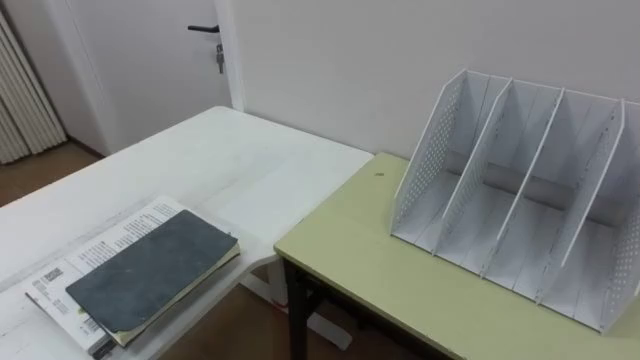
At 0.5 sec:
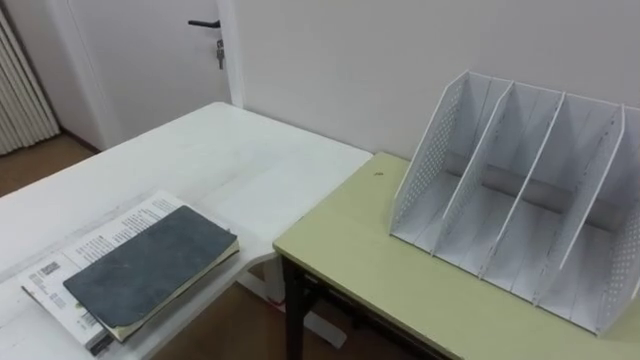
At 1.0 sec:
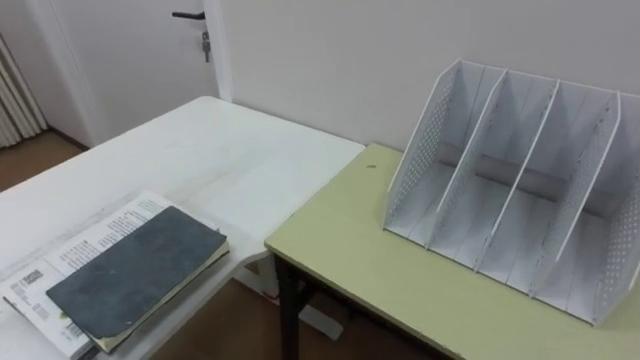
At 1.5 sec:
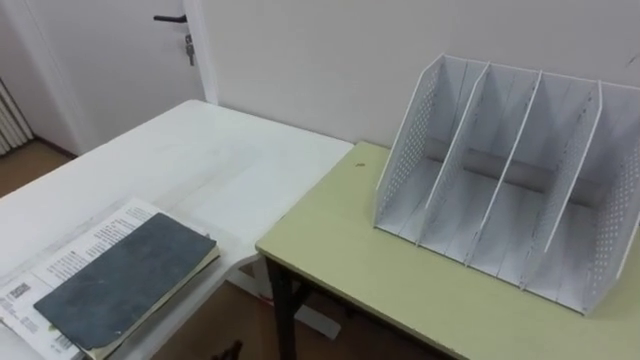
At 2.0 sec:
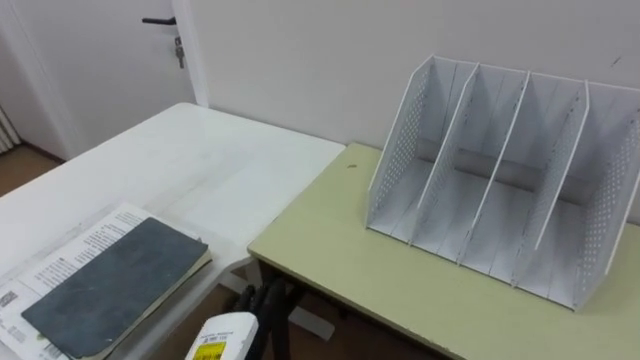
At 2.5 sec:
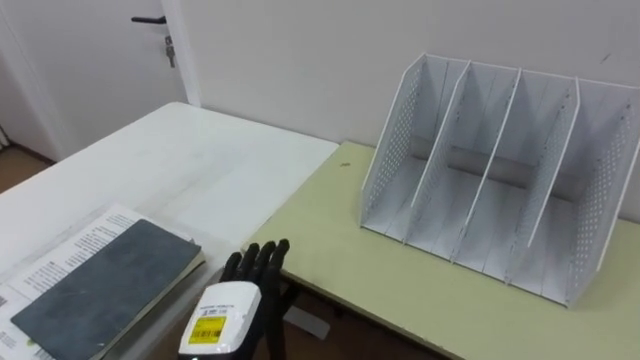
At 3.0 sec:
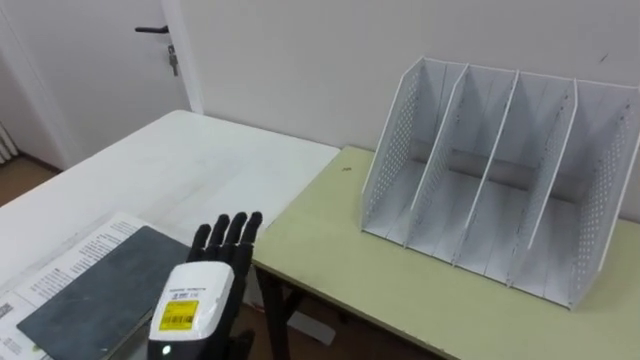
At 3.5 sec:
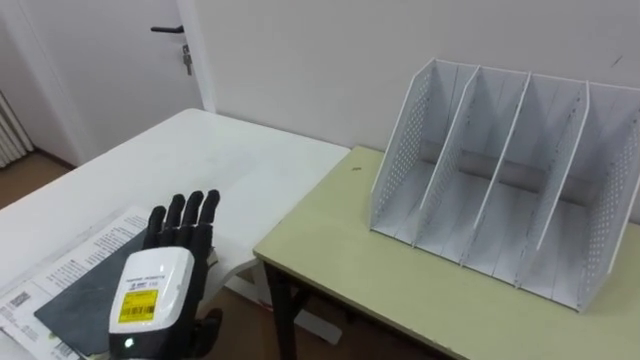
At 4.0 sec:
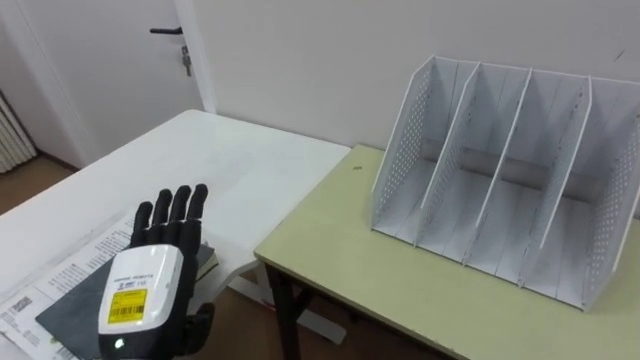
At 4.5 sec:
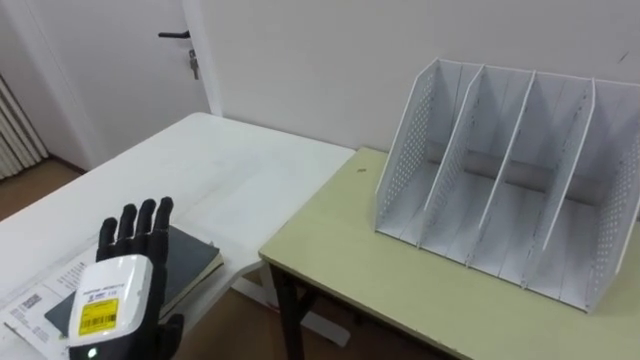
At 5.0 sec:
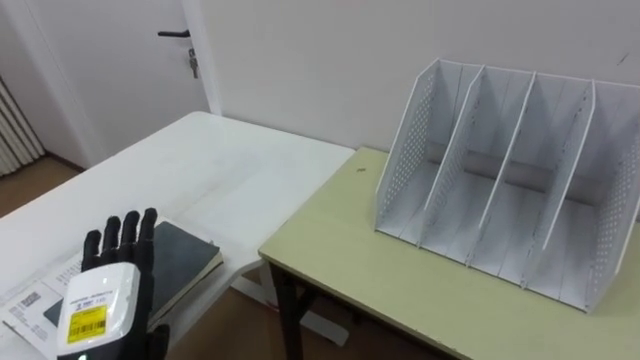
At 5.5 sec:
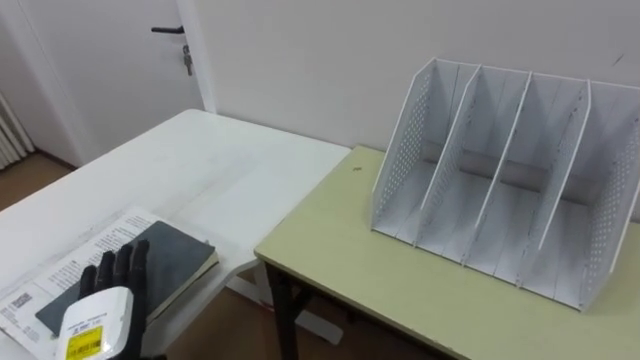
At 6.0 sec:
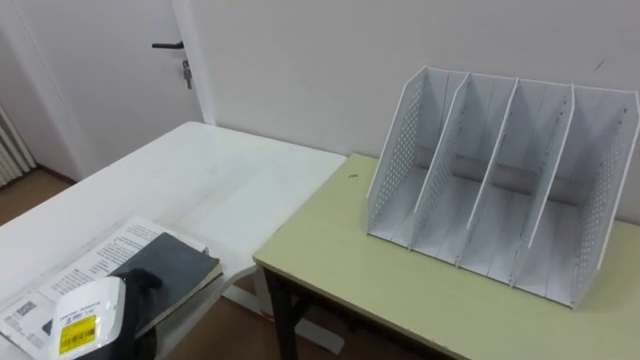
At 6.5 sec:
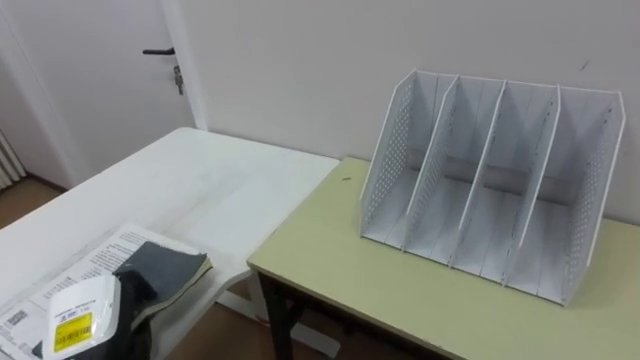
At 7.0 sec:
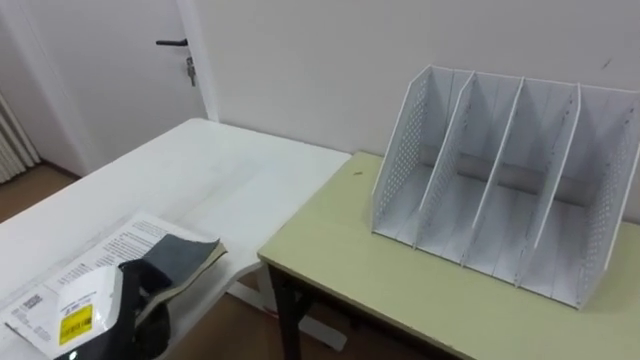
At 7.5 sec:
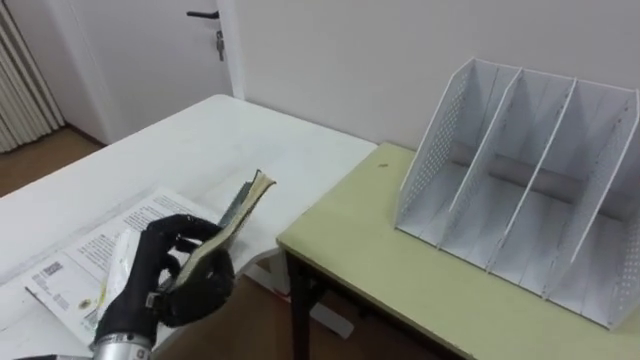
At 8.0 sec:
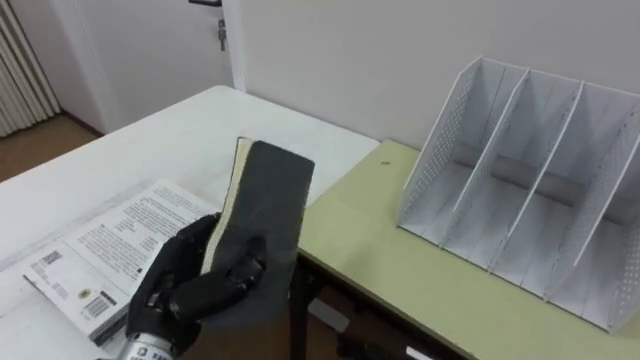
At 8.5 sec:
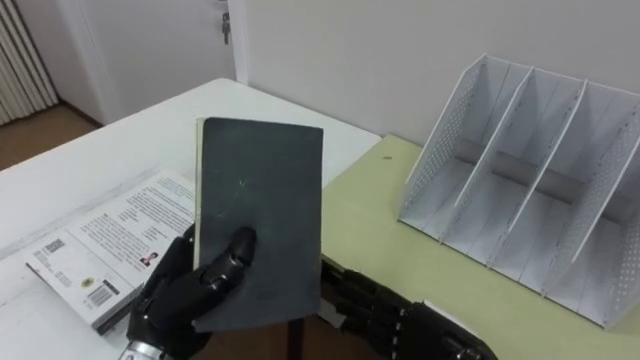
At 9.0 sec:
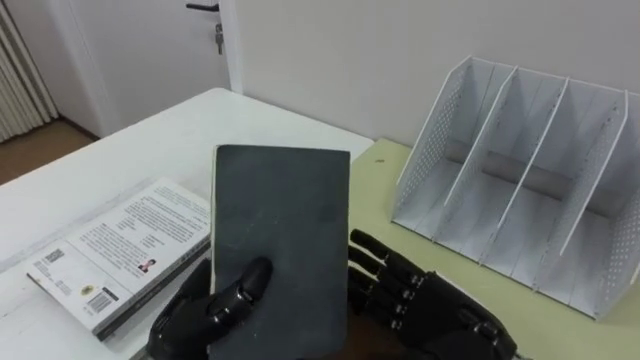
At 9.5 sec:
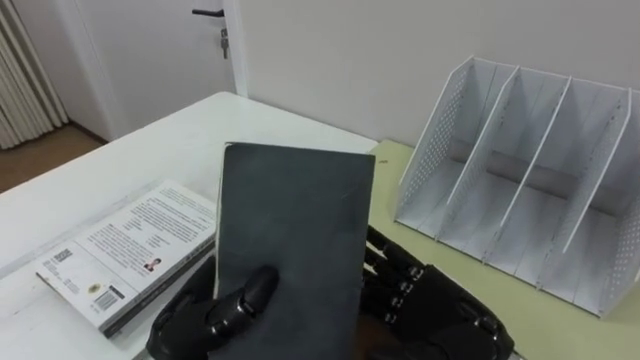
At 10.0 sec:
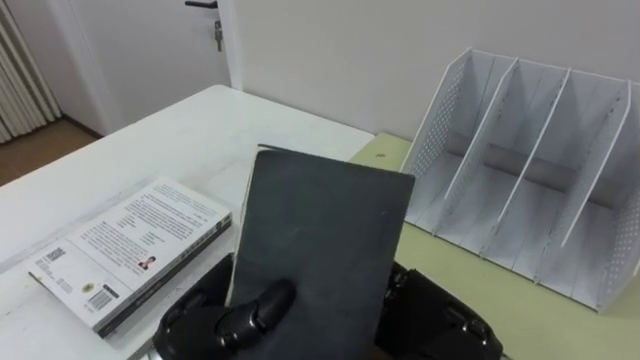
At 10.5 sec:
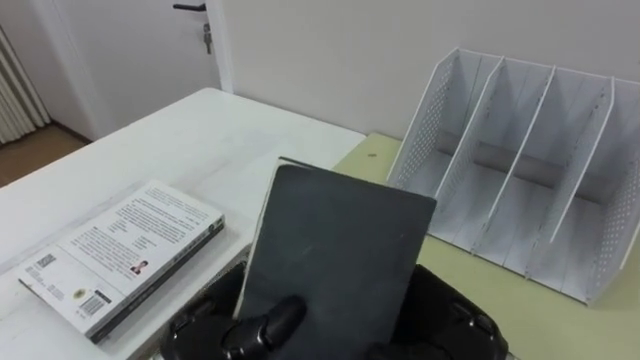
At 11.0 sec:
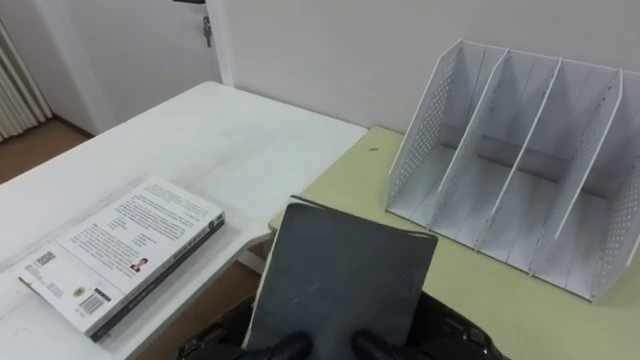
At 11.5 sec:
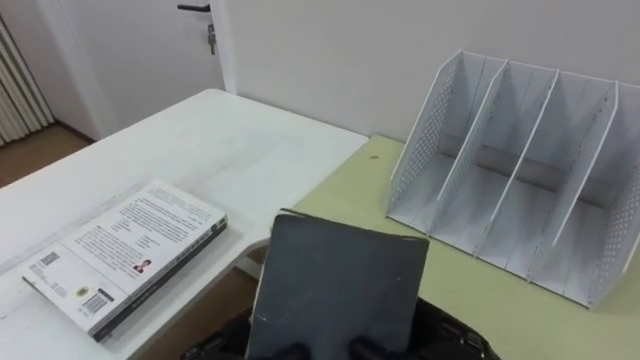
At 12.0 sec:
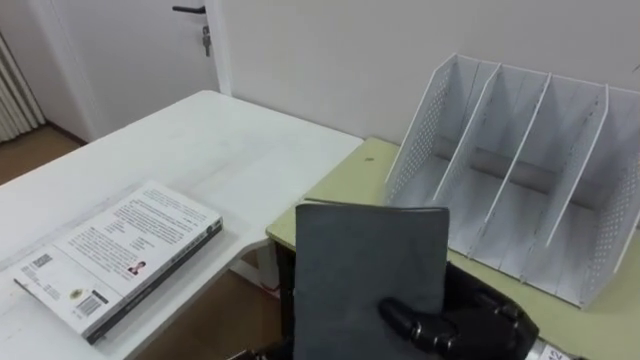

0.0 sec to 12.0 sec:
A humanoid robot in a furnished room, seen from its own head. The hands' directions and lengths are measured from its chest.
Task of the whole recording: Put the books on the table onto the bookshelf.
2.0 sec to 4.0 sec: The left hand goes roughly 10 cm upward and to the left.
4.0 sec to 6.0 sec: The left hand goes about 10 cm to the left and downward, and closes.
6.0 sec to 8.0 sec: The left hand travels to the right and upward by approximately 10 cm.
8.0 sec to 10.0 sec: The left hand heads to the right, covering about 5 cm.
10.0 sec to 12.0 sec: The right hand closes.

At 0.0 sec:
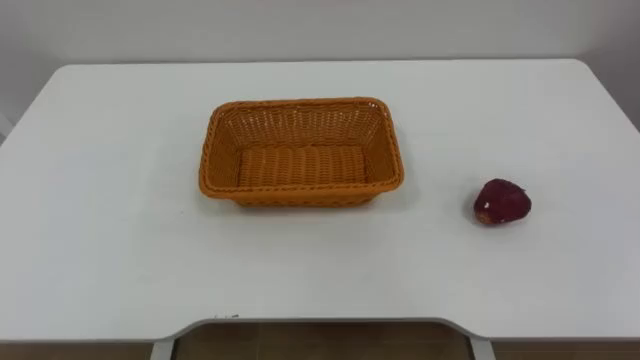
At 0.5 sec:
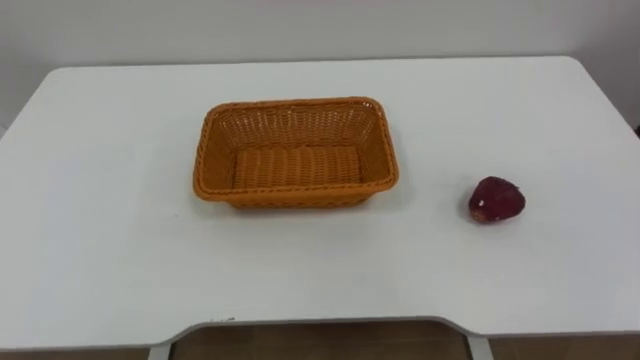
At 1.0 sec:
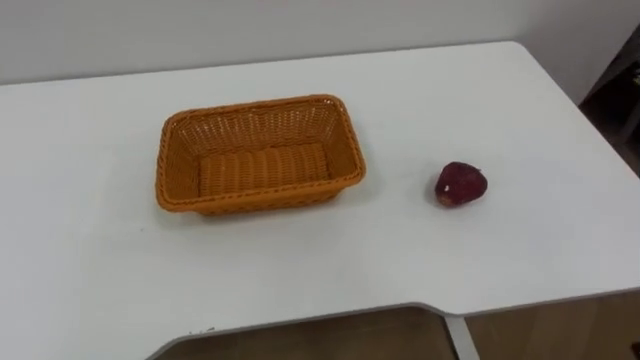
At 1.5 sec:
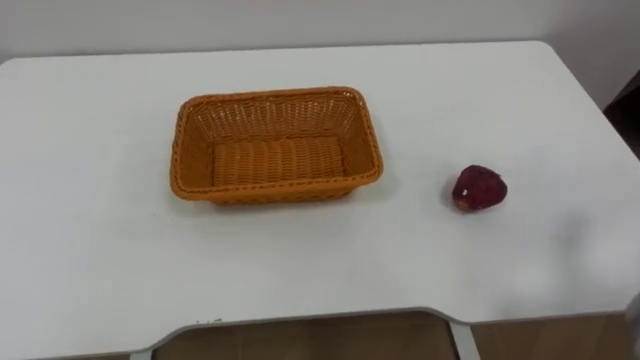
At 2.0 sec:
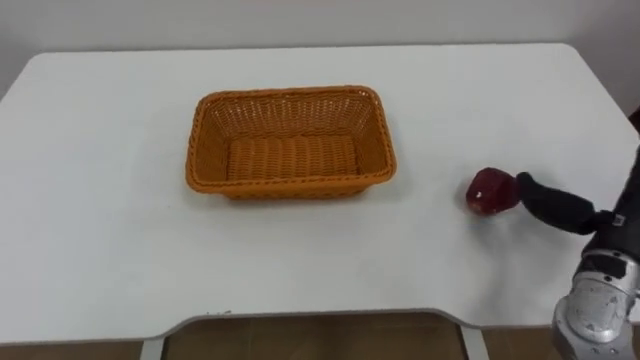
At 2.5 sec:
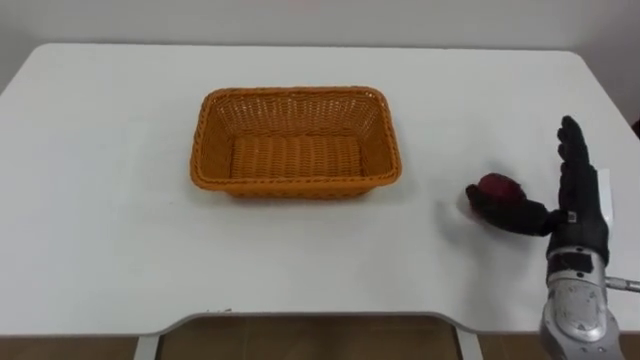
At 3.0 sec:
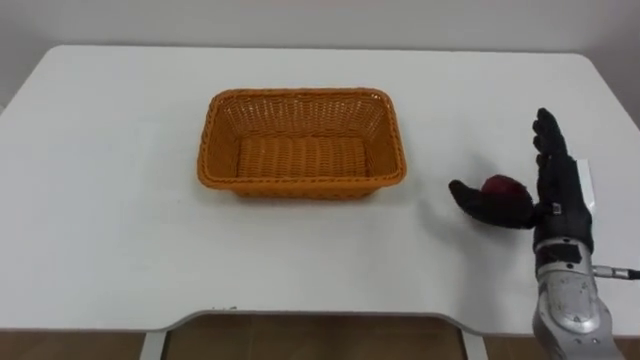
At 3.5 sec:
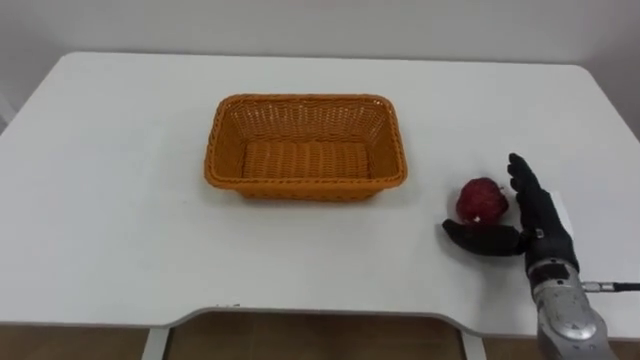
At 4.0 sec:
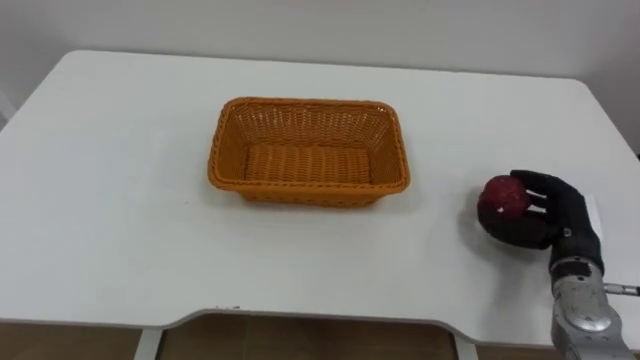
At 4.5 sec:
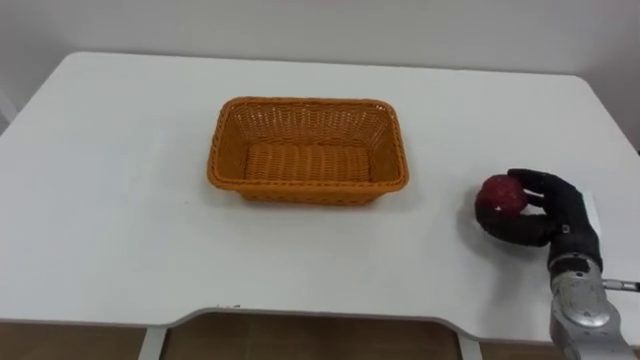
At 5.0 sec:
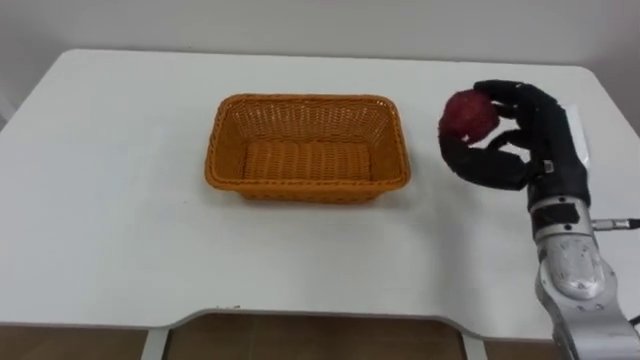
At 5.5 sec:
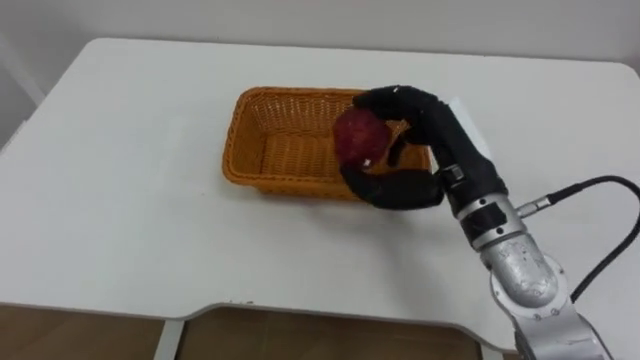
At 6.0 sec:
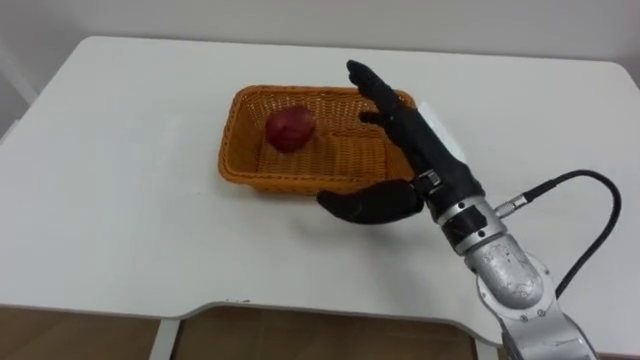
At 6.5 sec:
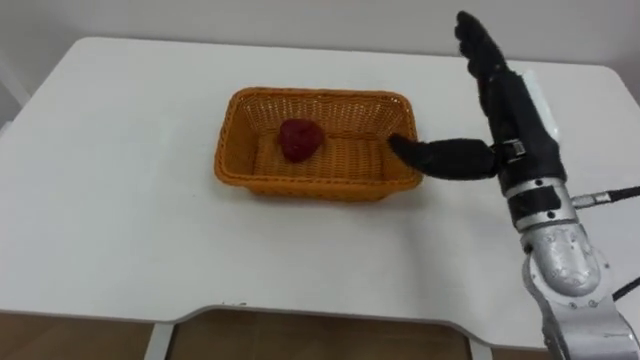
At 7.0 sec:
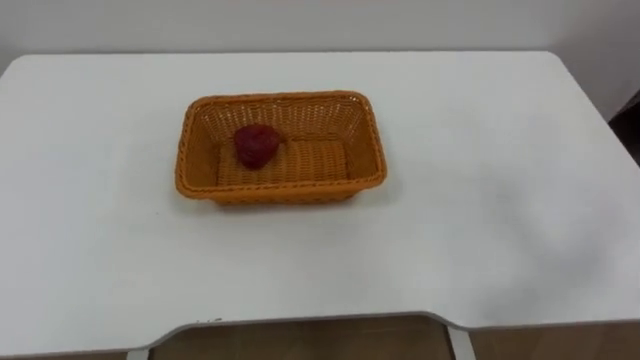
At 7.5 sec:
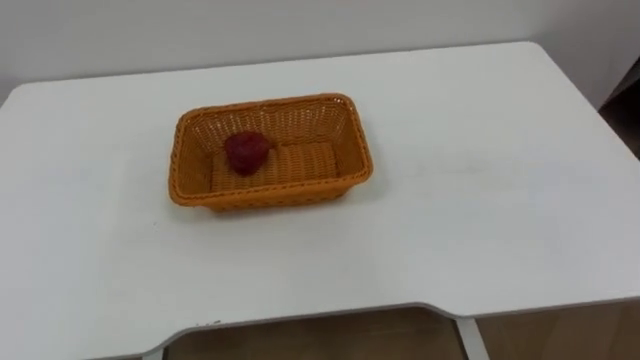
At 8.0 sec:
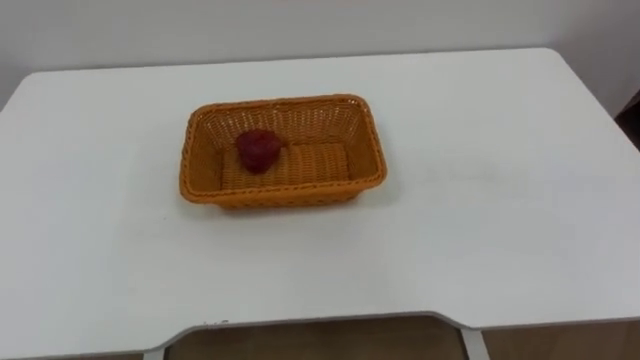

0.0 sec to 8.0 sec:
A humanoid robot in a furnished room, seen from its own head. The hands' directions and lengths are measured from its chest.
Task of the whole recording: Pick the apple and place it in the box.
2.0 sec to 4.0 sec: The right hand shifts some 10 cm downward, and closes its fingers.
4.0 sec to 6.0 sec: The right hand shifts about 25 cm to the left and upward, and opens up.
